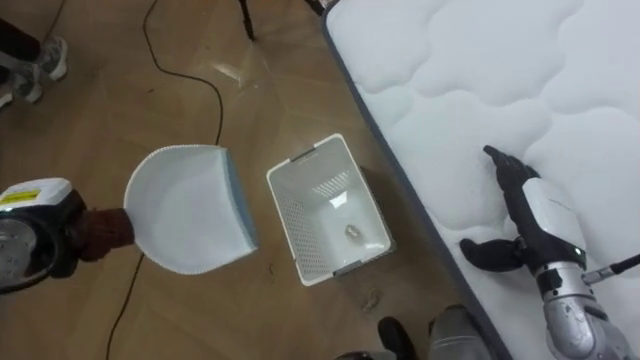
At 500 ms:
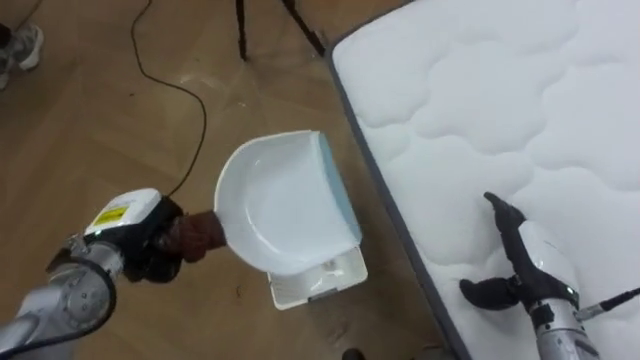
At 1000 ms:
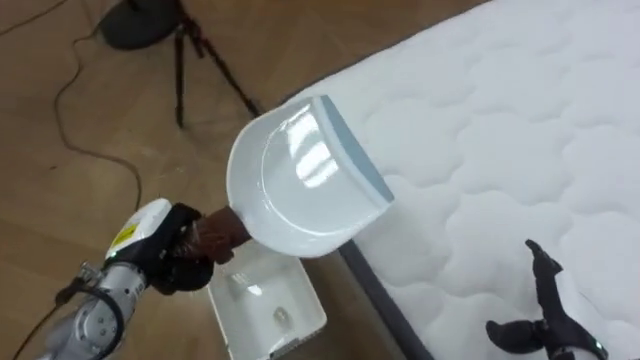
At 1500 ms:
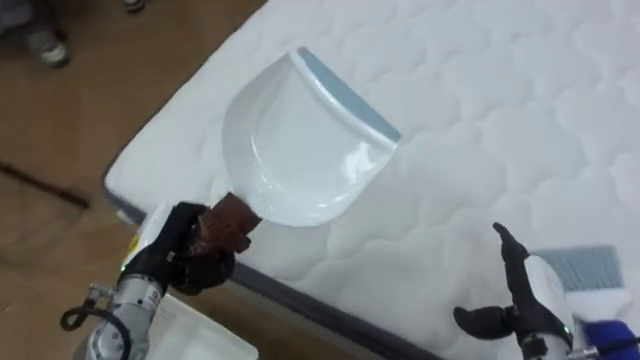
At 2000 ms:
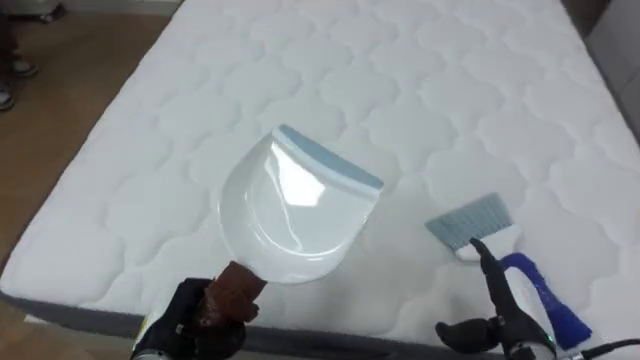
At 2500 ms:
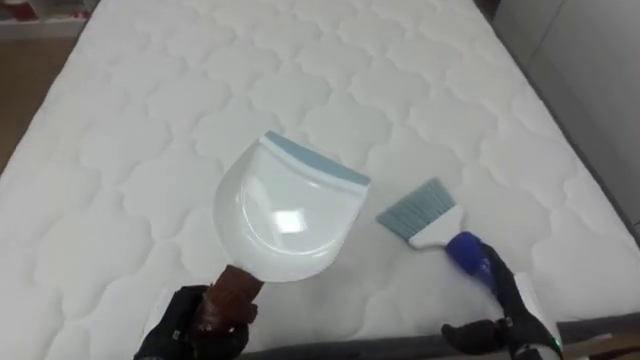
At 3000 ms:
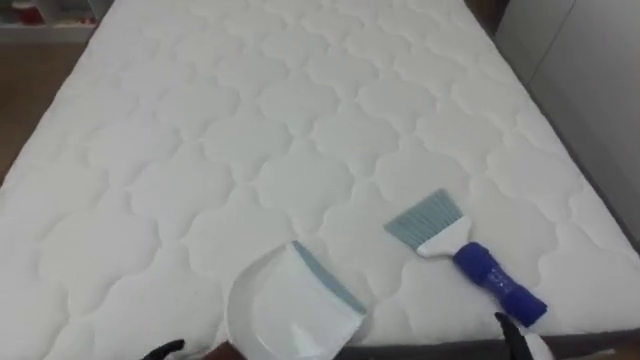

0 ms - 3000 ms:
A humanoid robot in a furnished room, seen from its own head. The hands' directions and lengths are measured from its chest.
Task of the whole recording: Pick up the brush on your right and the dustpan on your left. Use the brush to sweep the crumpled paper on the bed into the dustpan, then turn left and empty it into the basket.
0 ms - 1500 ms: The robot rotates approximately 65 degrees to its right. The right hand heads downward and backward, covering roughly 10 cm. Meanwhile the left hand travels to the right by roughly 15 cm.
1500 ms - 3000 ms: The robot faces approximately 30 degrees further to its right.

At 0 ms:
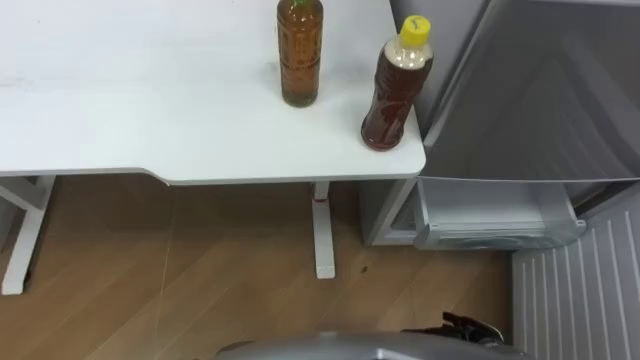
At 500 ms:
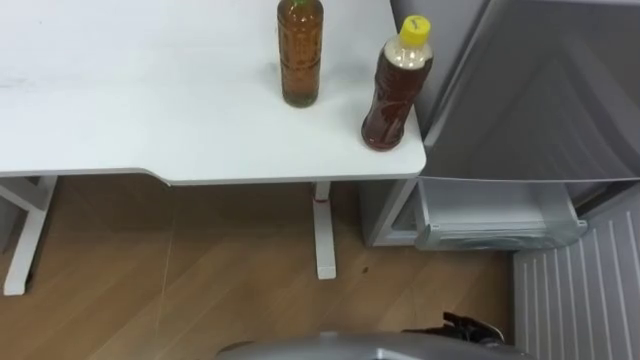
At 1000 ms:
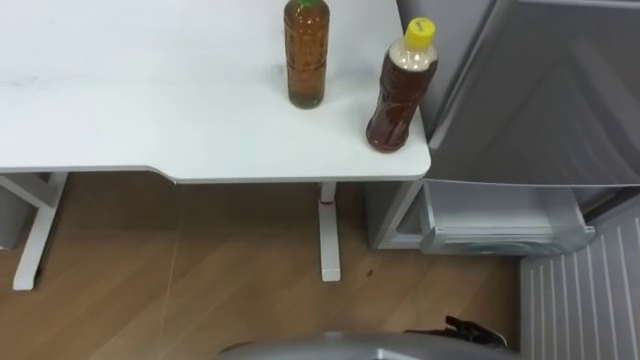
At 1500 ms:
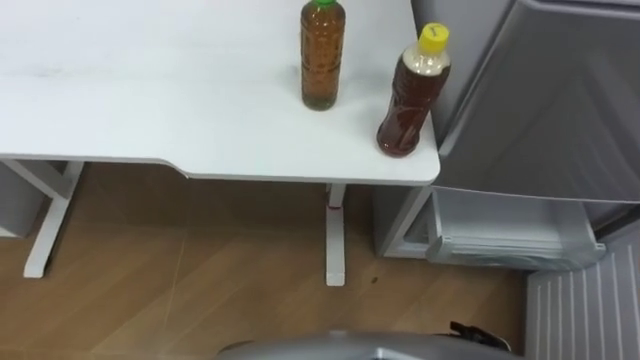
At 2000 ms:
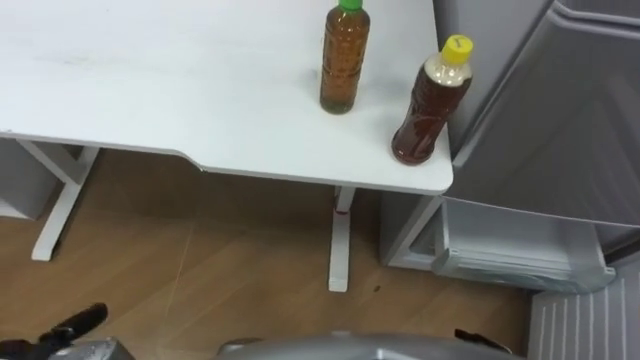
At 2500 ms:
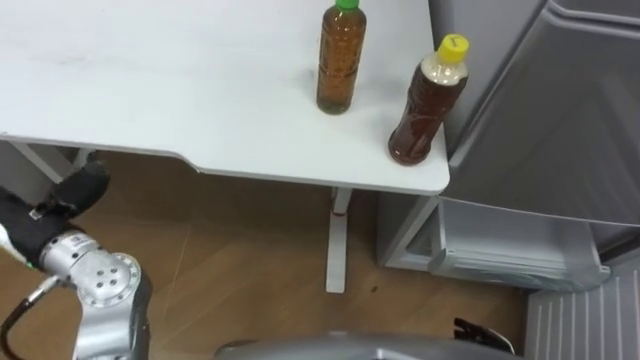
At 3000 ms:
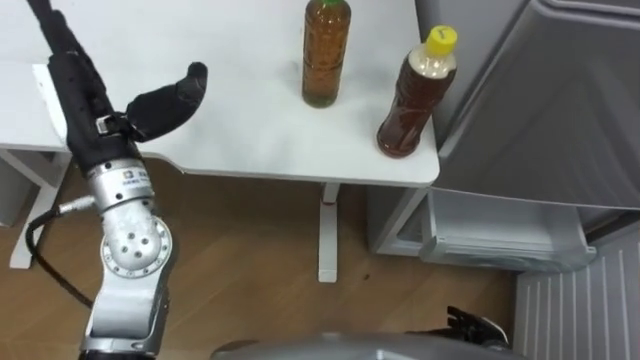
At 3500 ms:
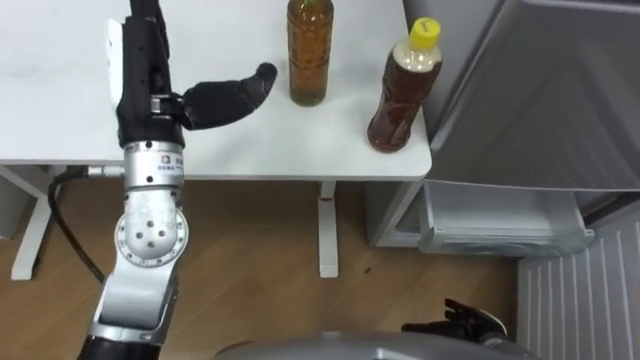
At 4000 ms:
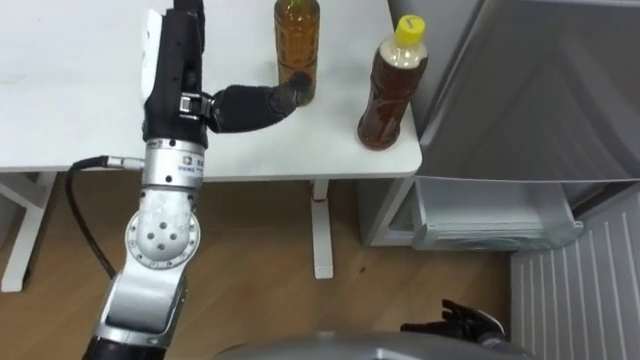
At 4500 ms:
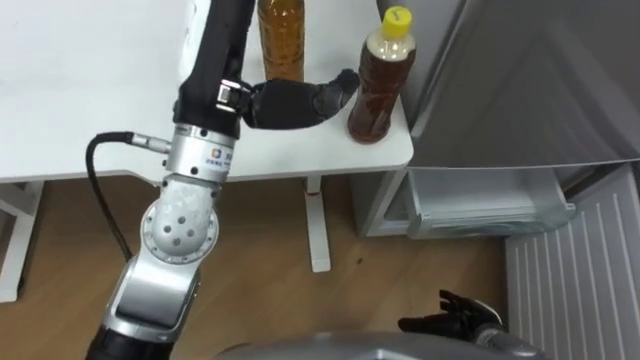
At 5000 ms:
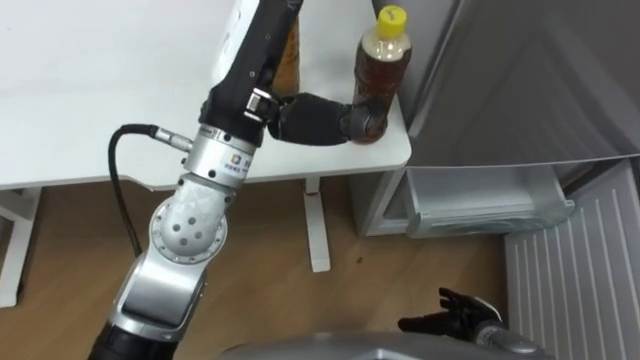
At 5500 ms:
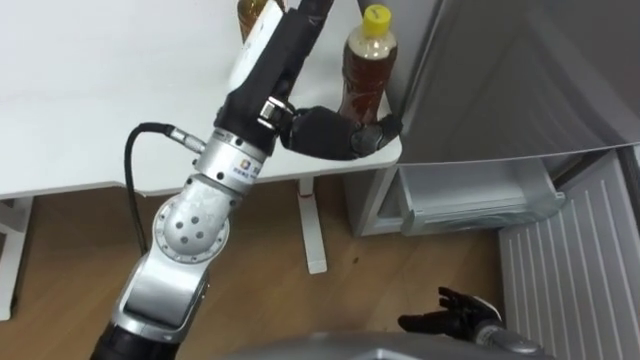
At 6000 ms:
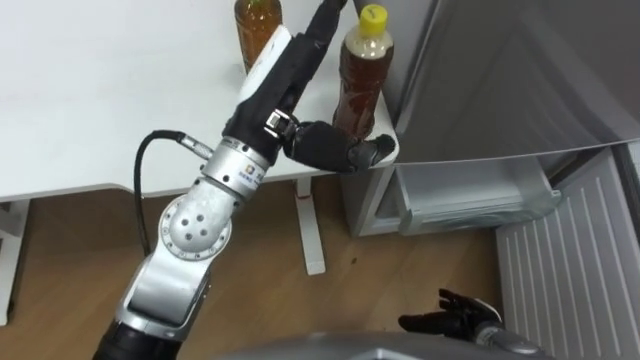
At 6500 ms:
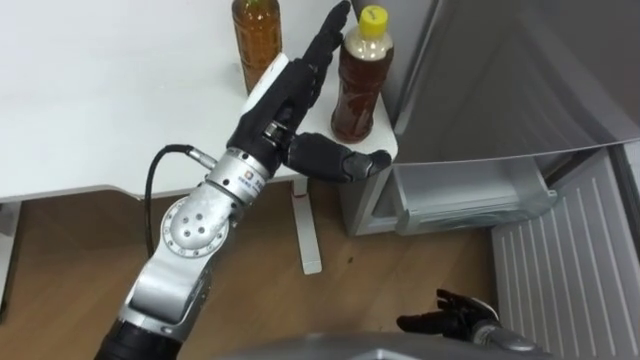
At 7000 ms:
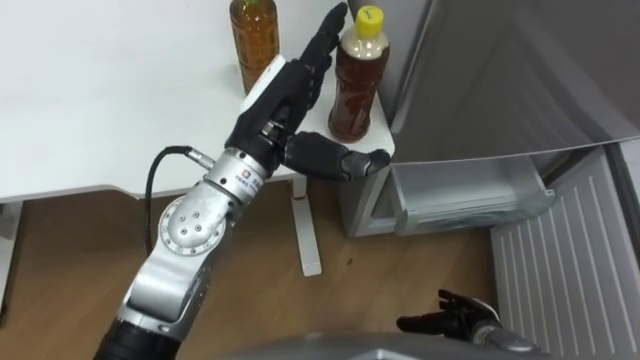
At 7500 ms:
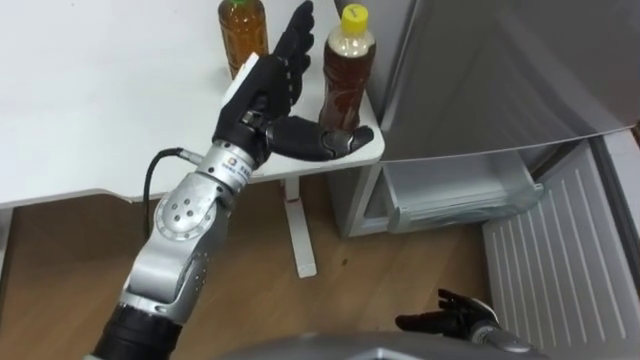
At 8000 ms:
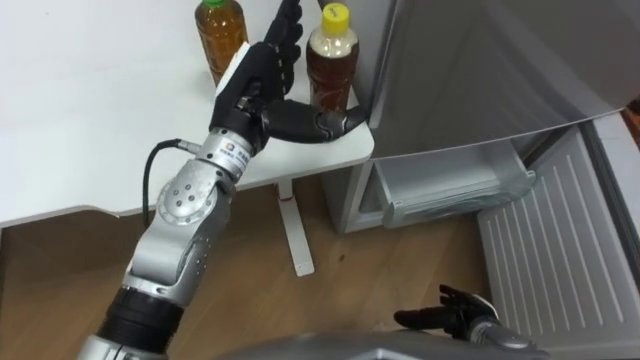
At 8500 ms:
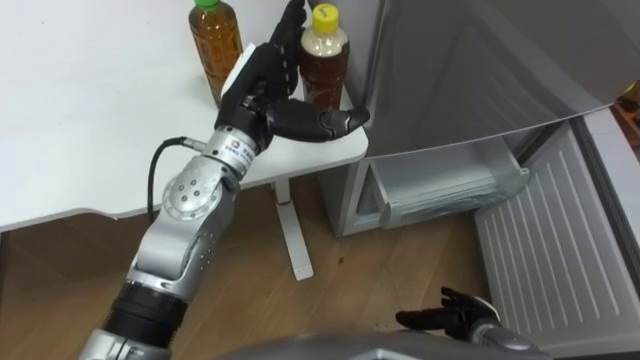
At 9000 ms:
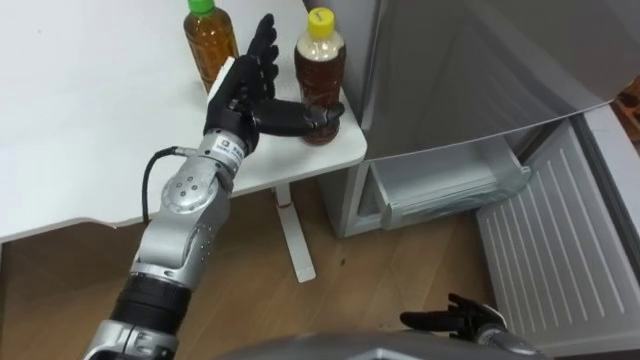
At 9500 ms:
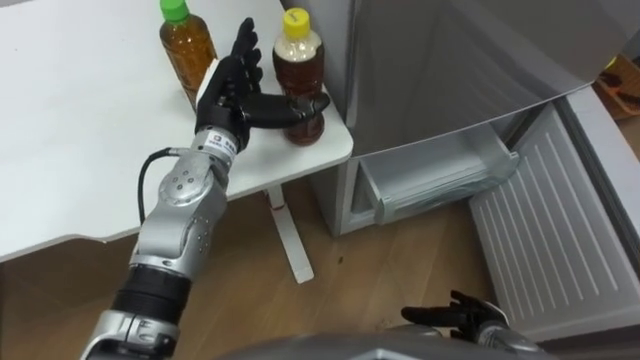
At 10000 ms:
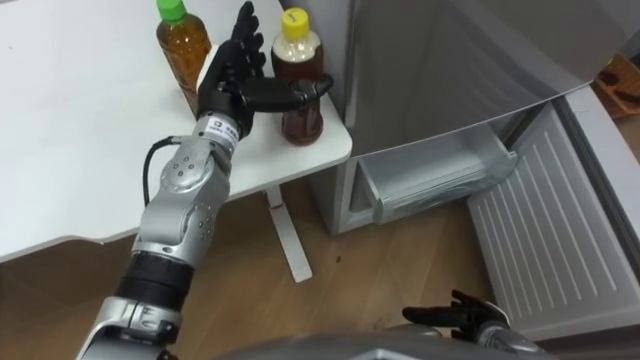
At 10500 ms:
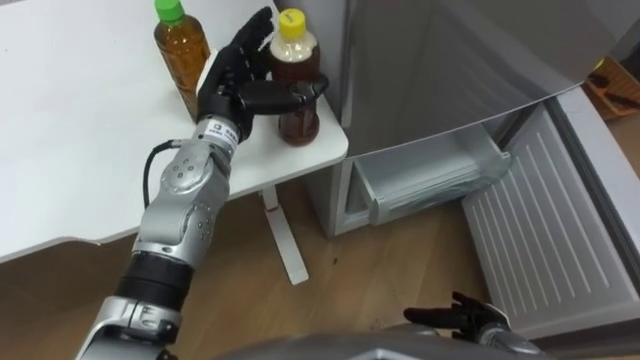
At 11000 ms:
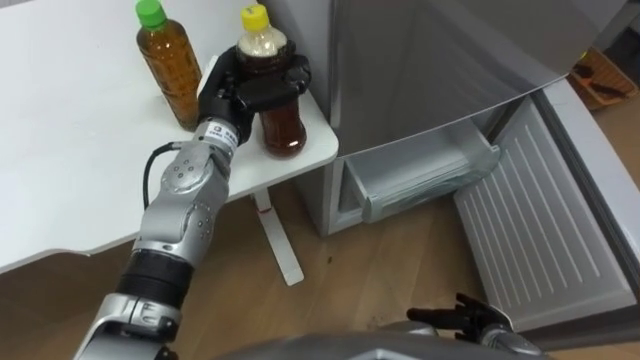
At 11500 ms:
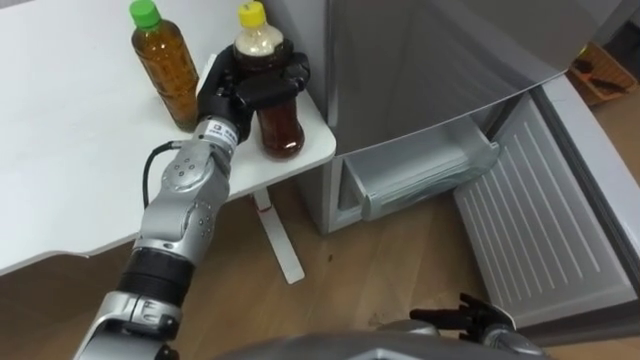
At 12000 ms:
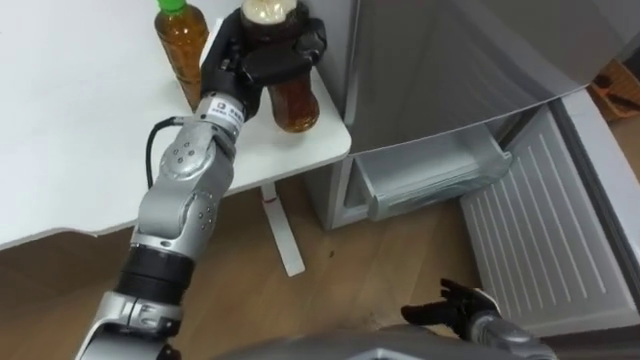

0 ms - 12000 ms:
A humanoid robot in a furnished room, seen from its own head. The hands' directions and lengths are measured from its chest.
Task of the whole recording: Place the drink on the table on the bottom shelf of the refrigerator, then close the drawer and the refrigerator door.
4000 ms - 6000 ms: The left hand shifts approximately 10 cm to the right.
6000 ms - 8000 ms: The left hand moves downward, about 5 cm.
8000 ms - 10000 ms: The left hand ends up roughly 5 cm from where it was.
10000 ms - 12000 ms: The left hand closes its fingers.

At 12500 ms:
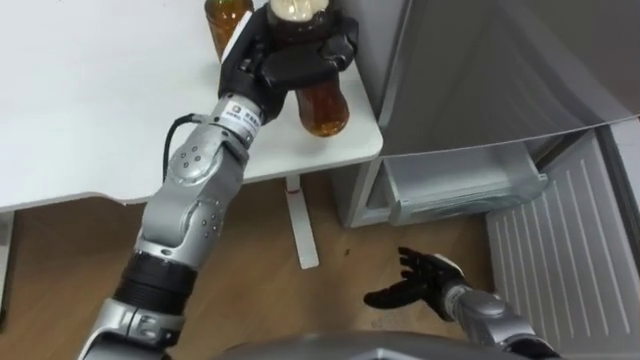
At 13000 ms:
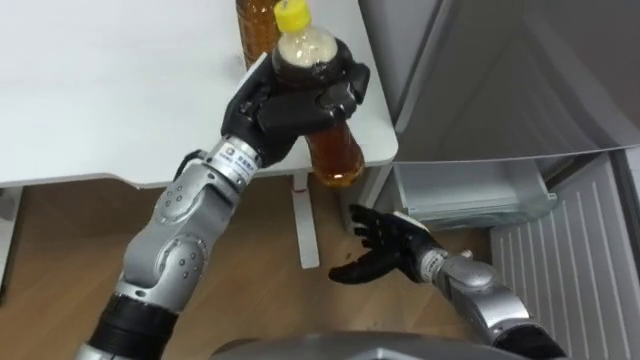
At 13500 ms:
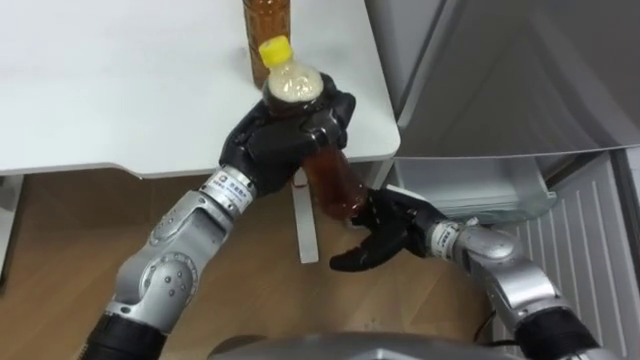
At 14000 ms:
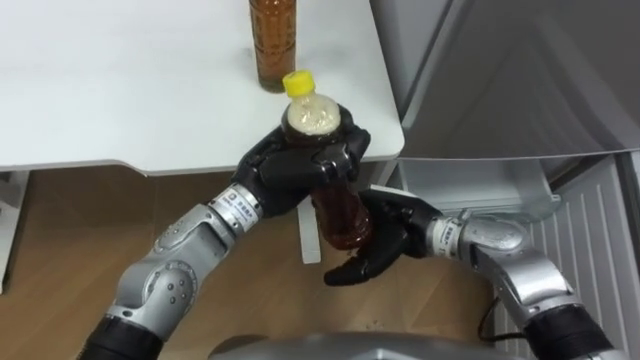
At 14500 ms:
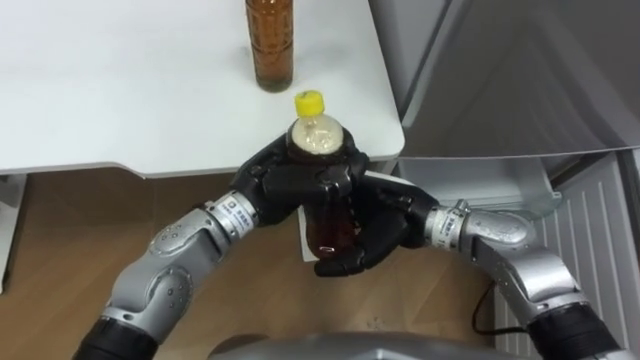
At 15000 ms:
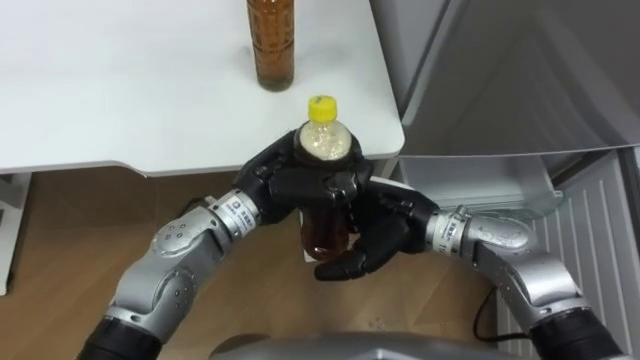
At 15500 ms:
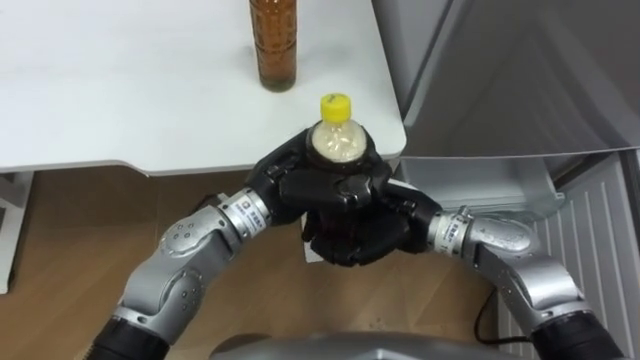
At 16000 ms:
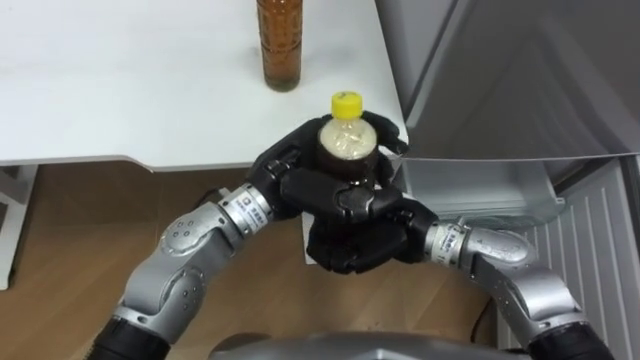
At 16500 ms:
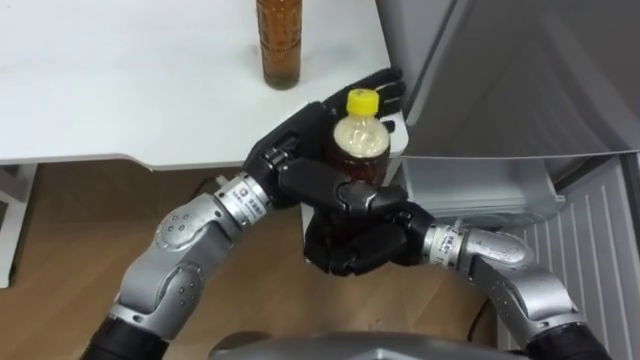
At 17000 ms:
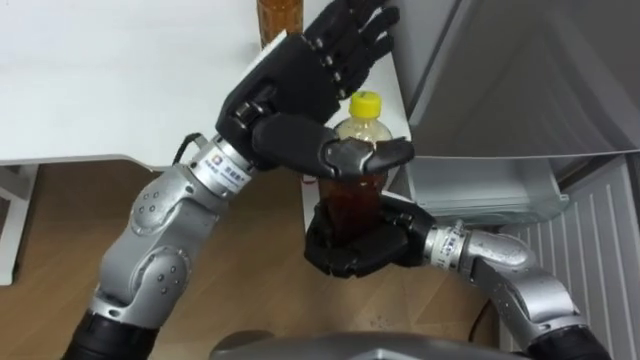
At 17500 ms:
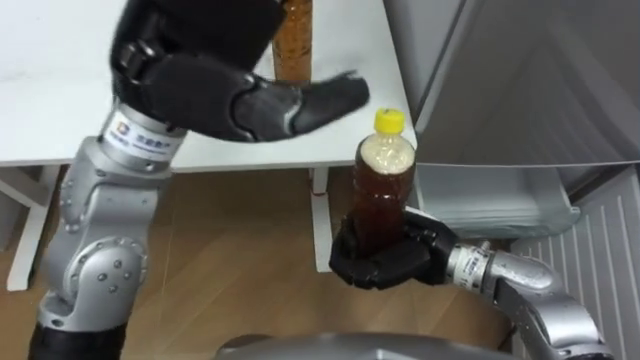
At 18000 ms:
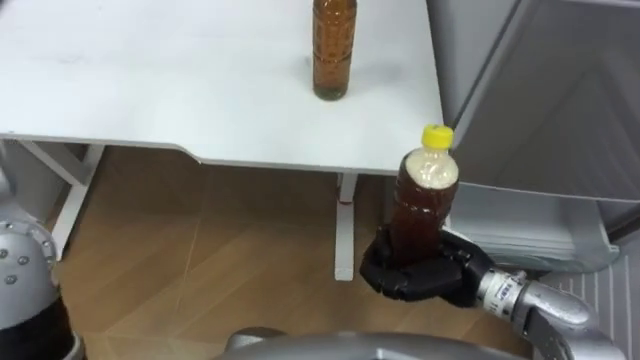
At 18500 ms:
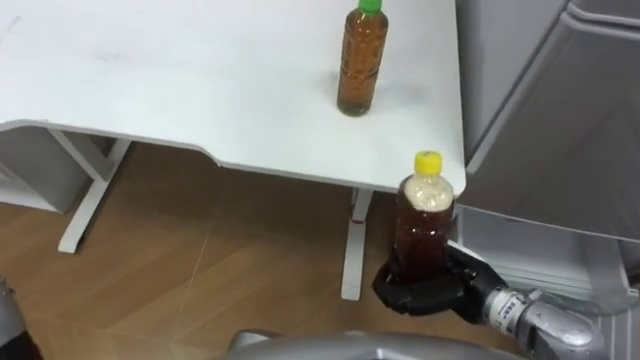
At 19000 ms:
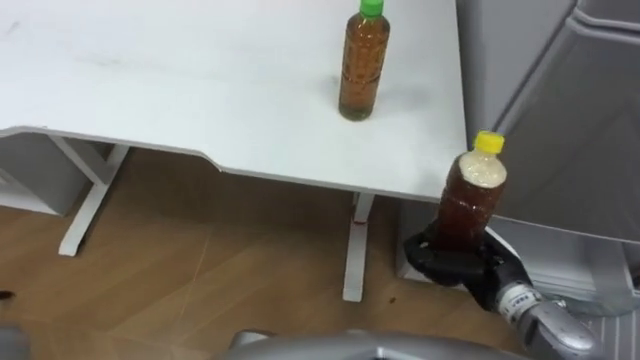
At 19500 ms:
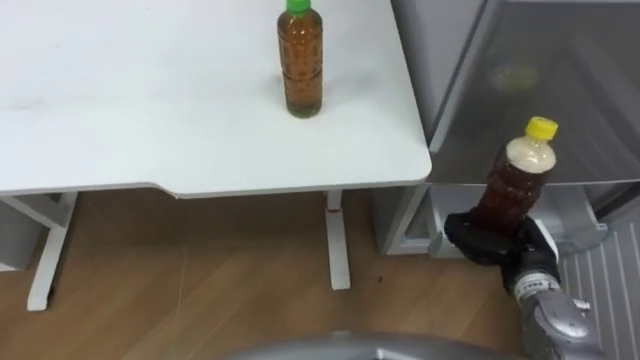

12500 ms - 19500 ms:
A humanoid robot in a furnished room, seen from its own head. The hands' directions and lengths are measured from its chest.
Task of the whole recording: Place the drink on the table on the bottom shelf of the refrigerator, then close the drawer and the refrigerator door.
12500 ms - 14500 ms: The right hand shifts about 20 cm upward, to the left and forward. Meanwhile the left hand shifts some 10 cm backward and downward.
14500 ms - 16000 ms: The right hand closes up.
16000 ms - 17500 ms: The left hand is displaced upward by approximately 20 cm, and opens.
17500 ms - 19500 ms: The right hand shifts some 15 cm to the right.
